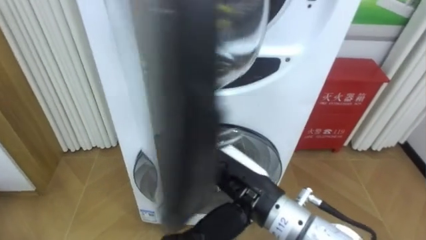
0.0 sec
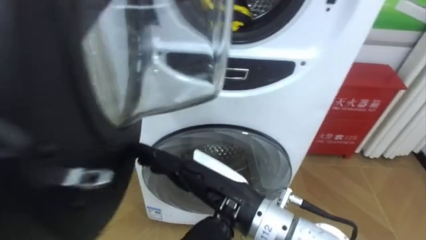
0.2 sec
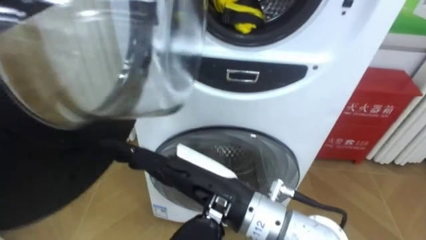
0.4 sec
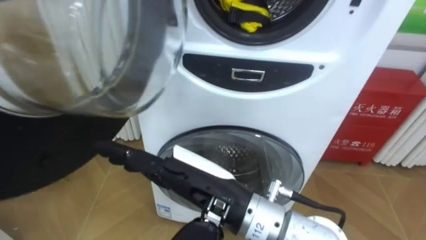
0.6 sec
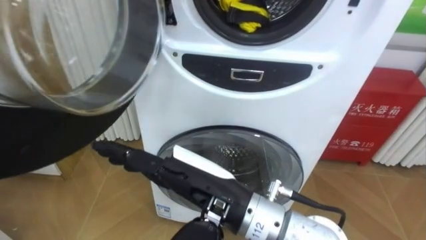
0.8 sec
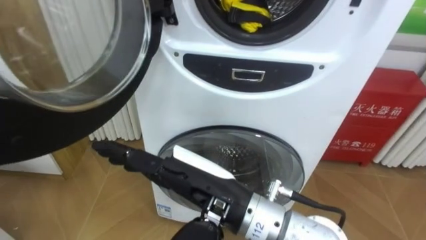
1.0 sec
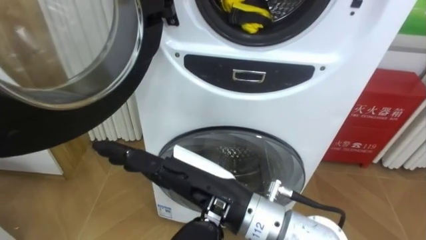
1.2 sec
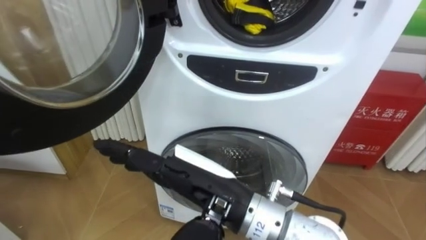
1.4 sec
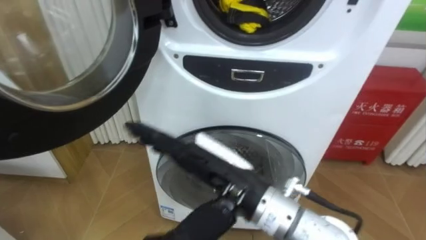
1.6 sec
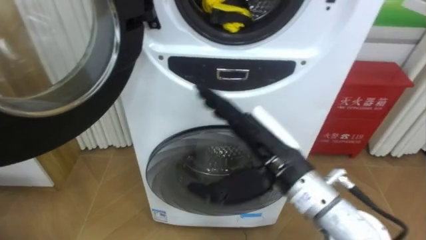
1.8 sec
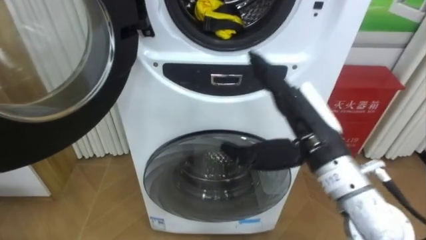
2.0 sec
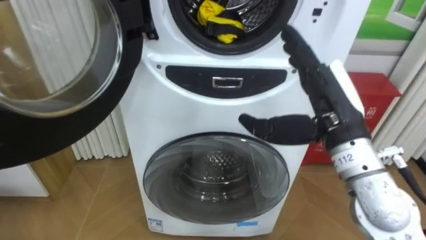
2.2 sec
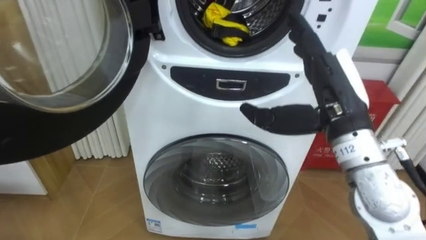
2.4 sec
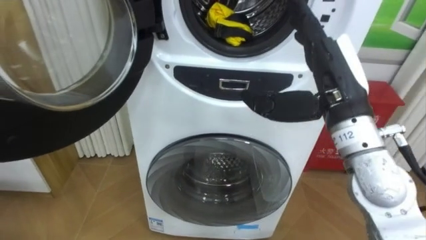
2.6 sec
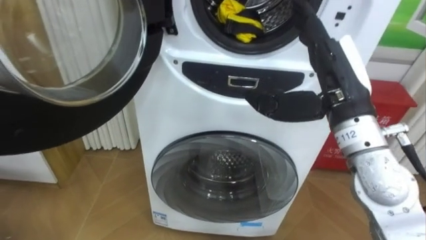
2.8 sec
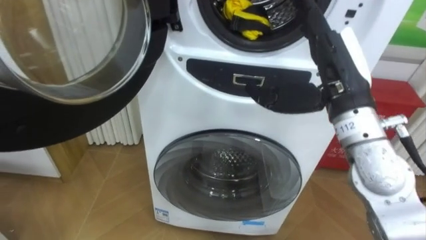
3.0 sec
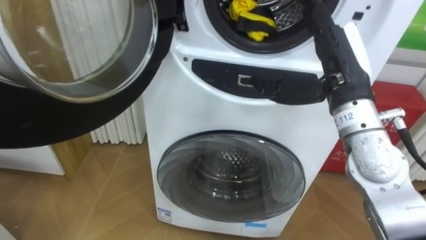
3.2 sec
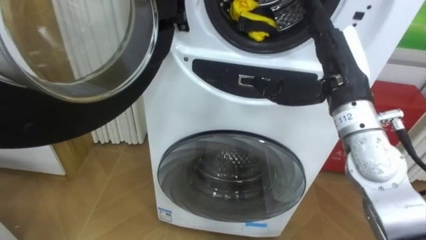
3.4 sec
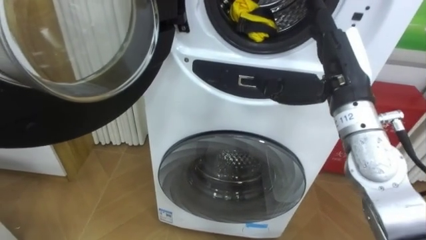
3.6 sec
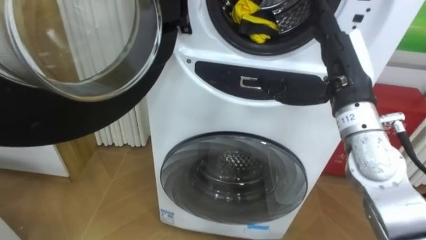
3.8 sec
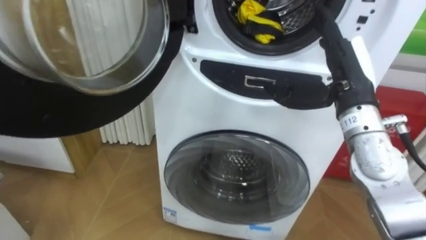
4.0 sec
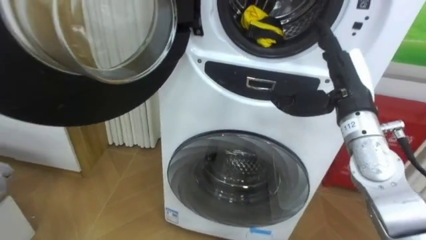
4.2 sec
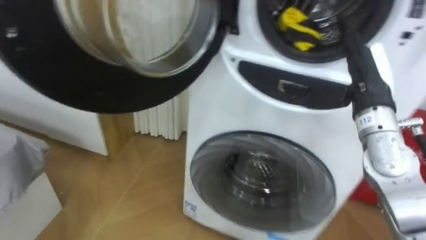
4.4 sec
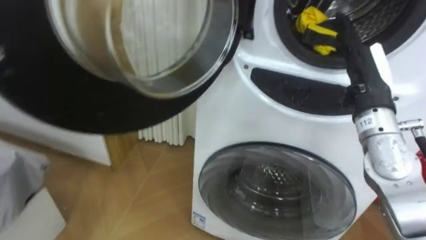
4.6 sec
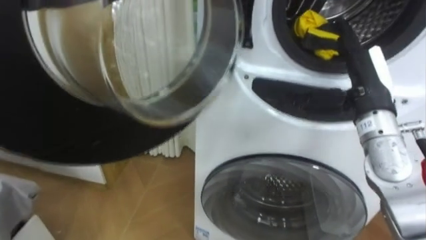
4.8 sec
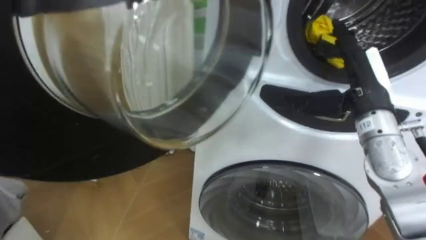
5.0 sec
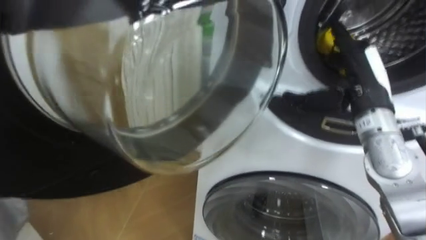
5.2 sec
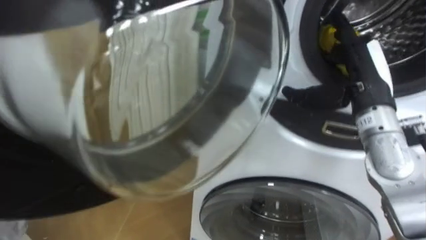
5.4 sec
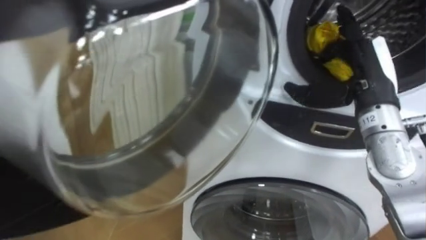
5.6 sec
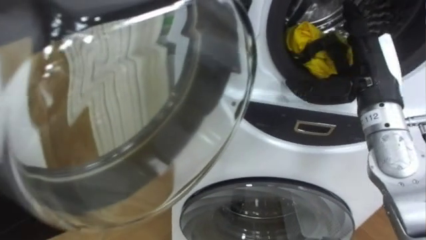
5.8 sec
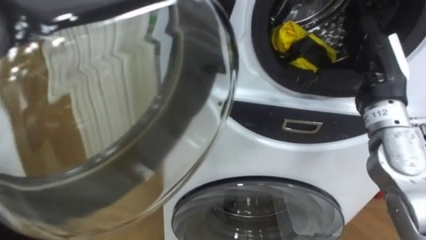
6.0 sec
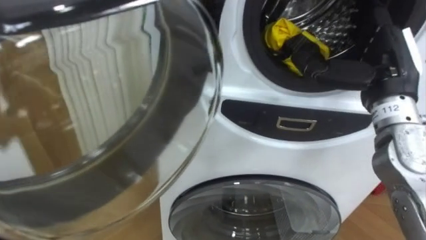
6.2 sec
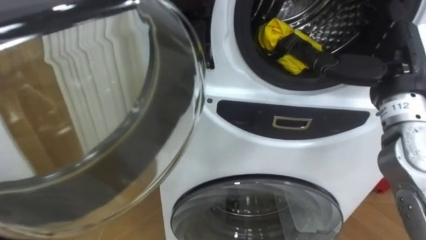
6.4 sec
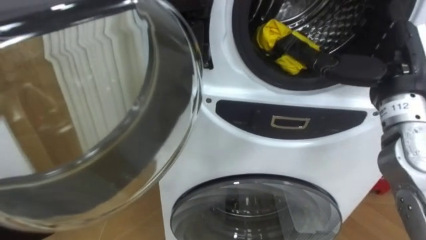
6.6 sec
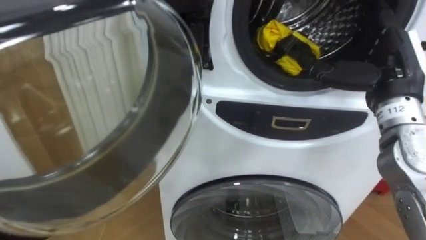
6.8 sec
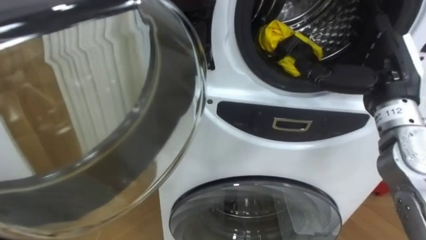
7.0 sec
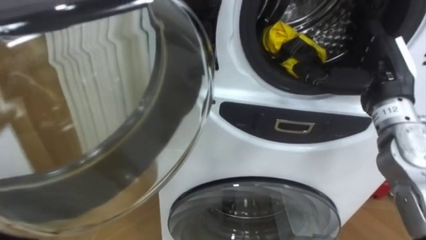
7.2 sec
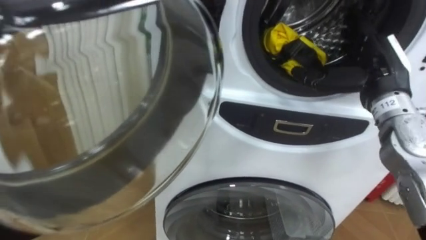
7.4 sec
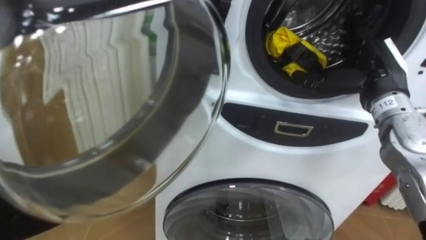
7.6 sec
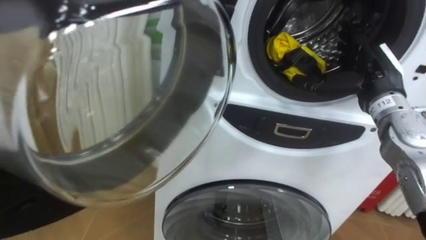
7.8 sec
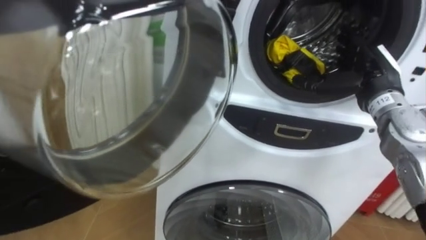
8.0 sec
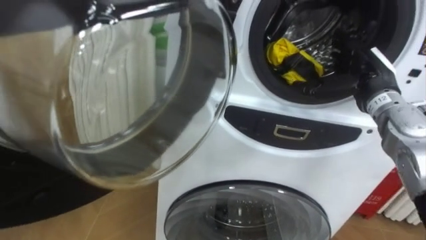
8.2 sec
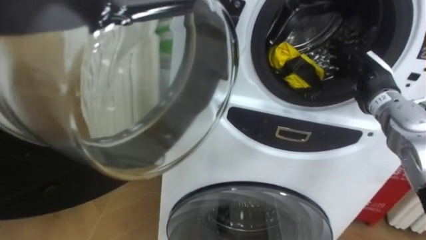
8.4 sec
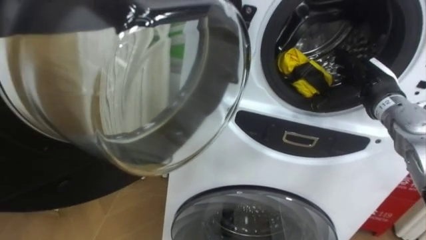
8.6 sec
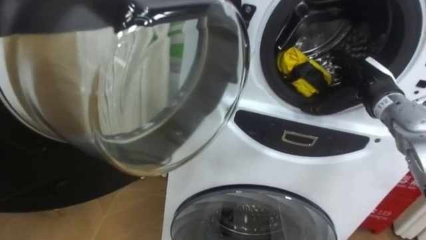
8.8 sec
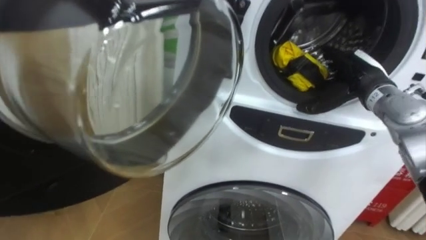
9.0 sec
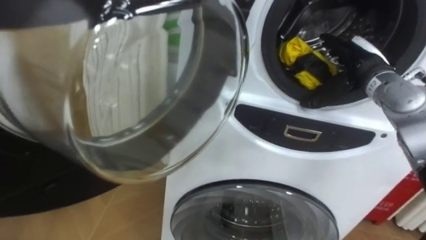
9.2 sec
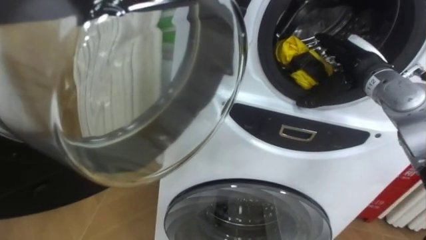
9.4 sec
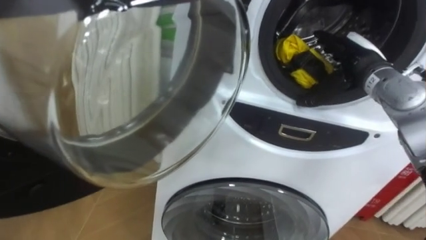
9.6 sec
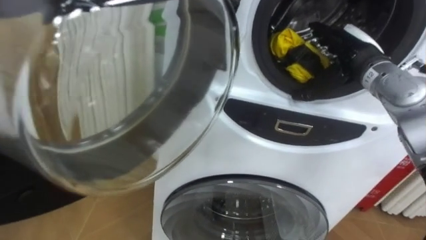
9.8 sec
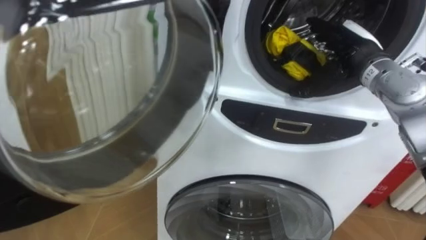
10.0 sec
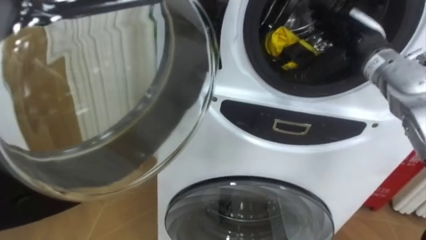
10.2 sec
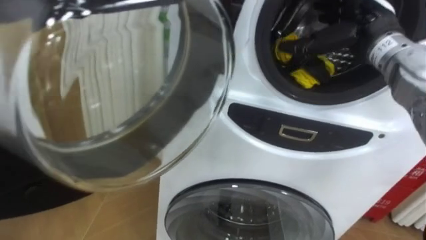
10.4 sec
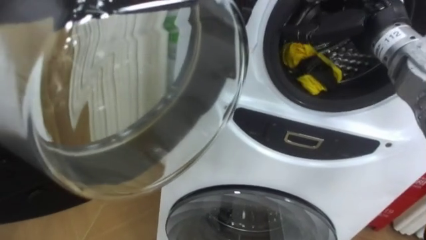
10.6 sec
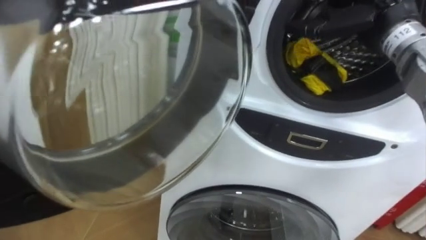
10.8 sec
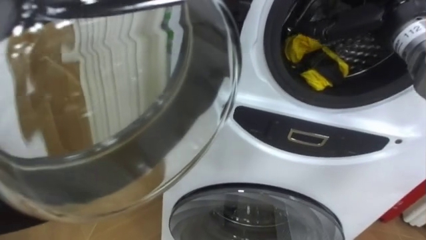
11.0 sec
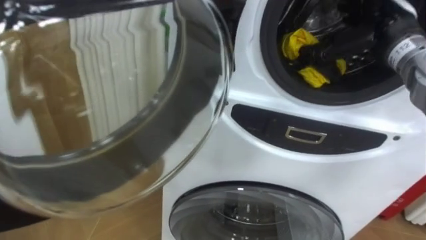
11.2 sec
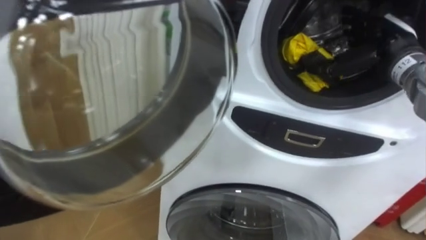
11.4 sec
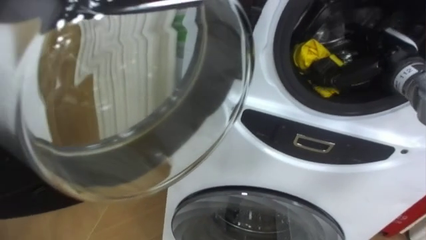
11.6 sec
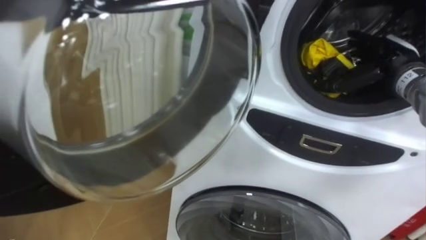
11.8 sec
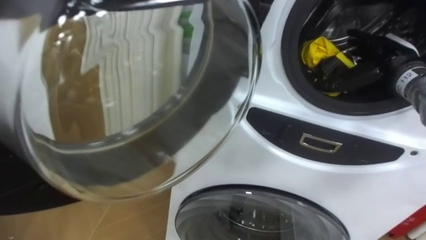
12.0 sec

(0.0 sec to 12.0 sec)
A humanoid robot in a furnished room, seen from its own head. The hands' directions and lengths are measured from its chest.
Task of the whole recording: Open the washing machine door, take out the yellow clothes, place them in the box on the right, and close the washing machine door.
0.0 sec - 1.6 sec: The right hand moves approximately 5 cm.
1.6 sec - 3.0 sec: The right hand travels to the right, forward and upward by roughly 20 cm.
3.0 sec - 4.4 sec: The right hand is displaced to the right by roughly 5 cm.
7.6 sec - 9.0 sec: The right hand changes place by approximately 5 cm.
9.0 sec - 10.4 sec: The right hand goes roughly 10 cm upward.
10.4 sec - 12.0 sec: The right hand is displaced to the right and downward by some 10 cm.

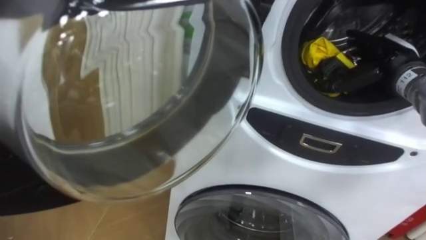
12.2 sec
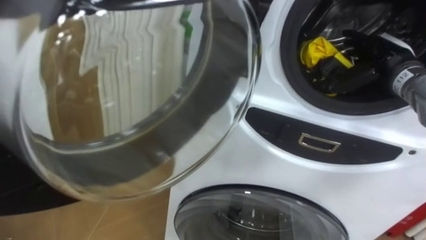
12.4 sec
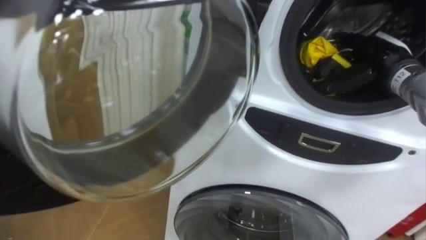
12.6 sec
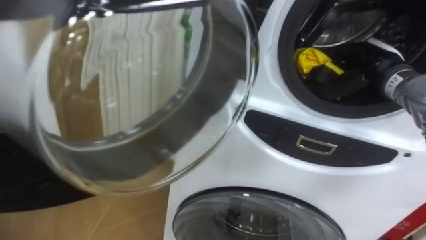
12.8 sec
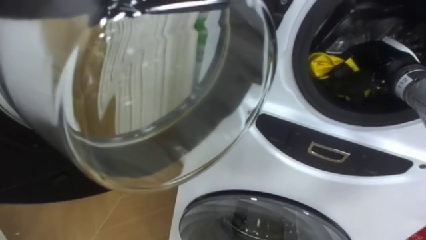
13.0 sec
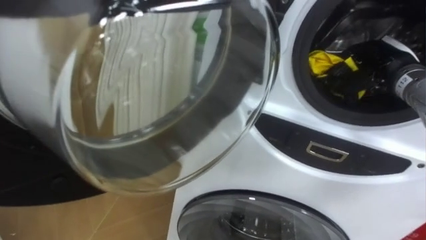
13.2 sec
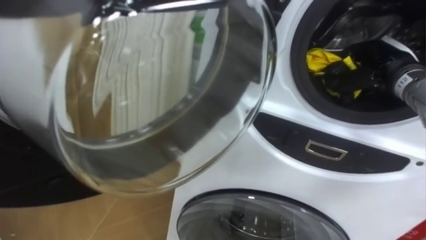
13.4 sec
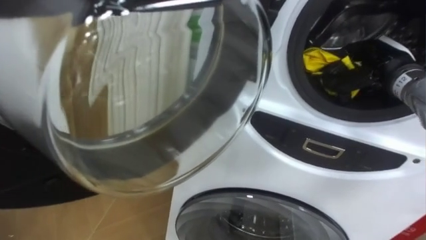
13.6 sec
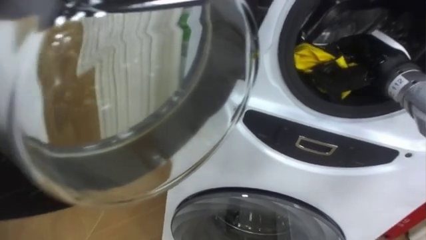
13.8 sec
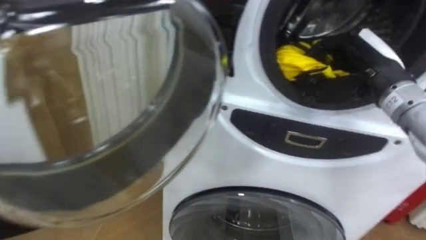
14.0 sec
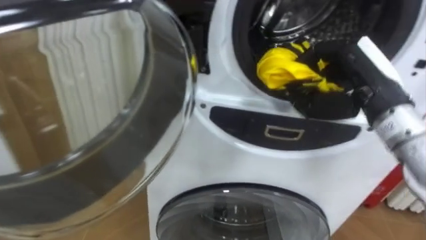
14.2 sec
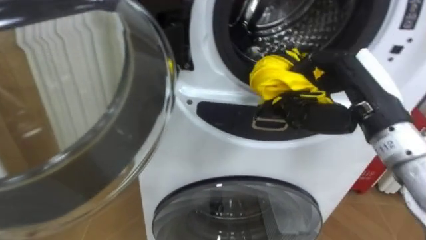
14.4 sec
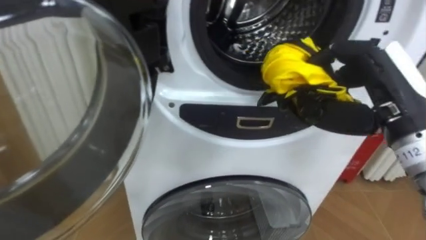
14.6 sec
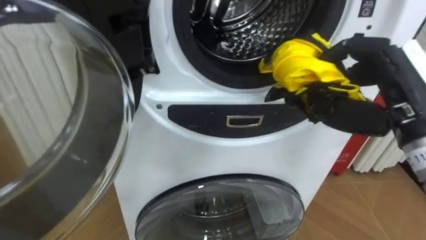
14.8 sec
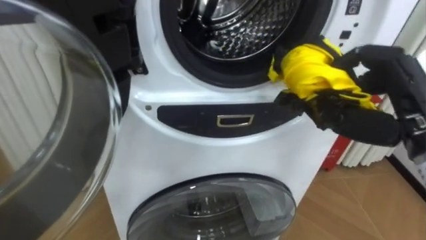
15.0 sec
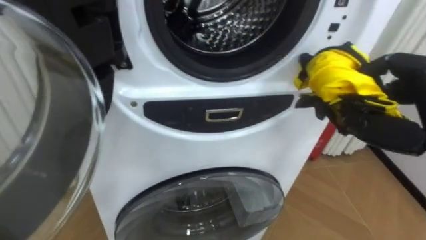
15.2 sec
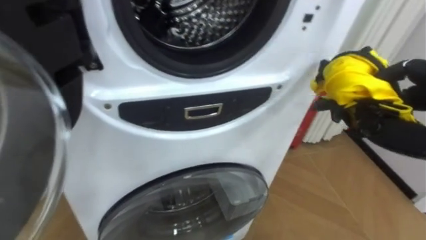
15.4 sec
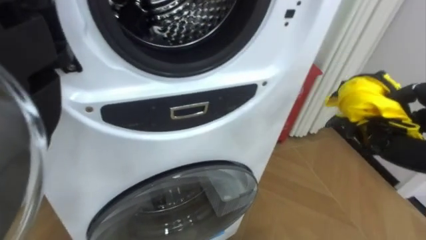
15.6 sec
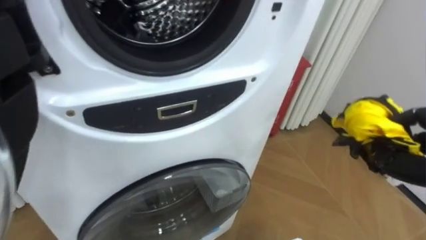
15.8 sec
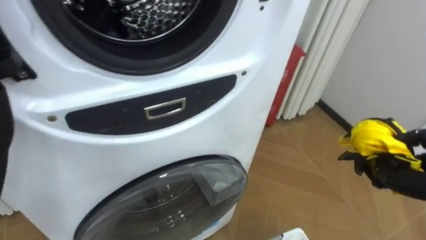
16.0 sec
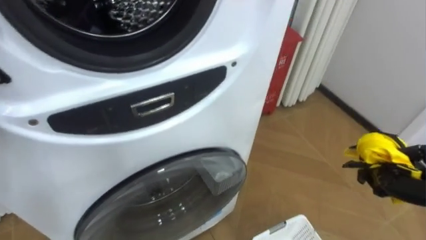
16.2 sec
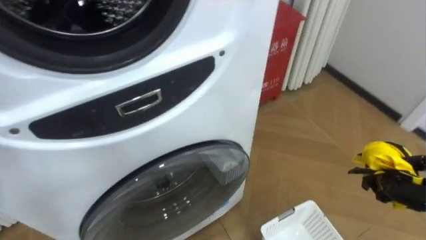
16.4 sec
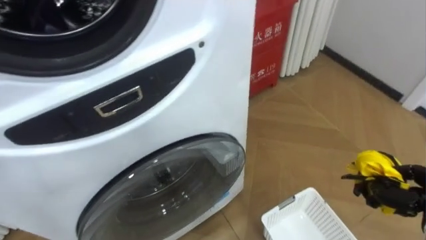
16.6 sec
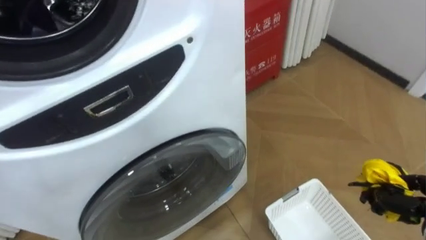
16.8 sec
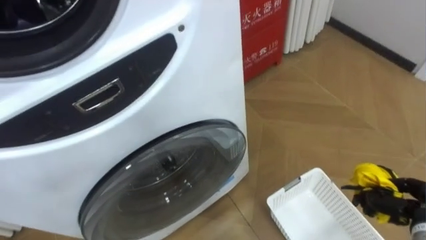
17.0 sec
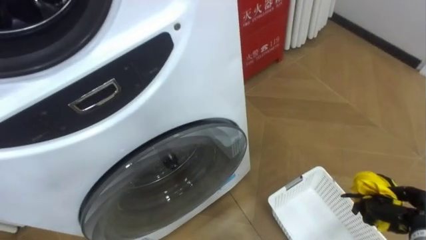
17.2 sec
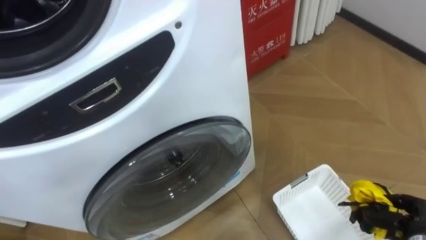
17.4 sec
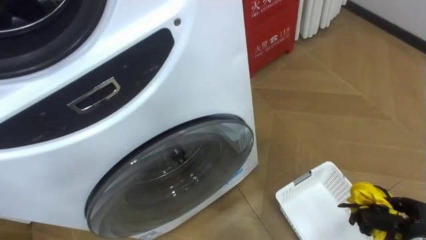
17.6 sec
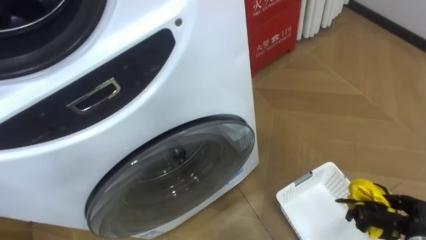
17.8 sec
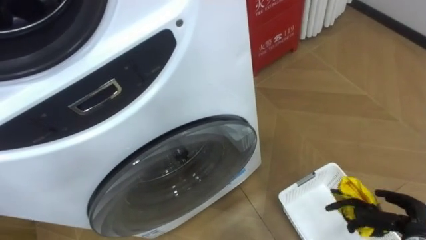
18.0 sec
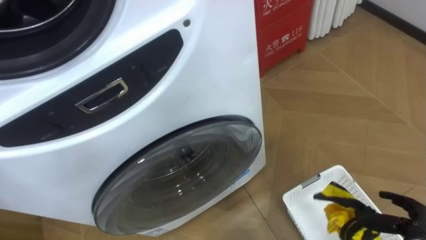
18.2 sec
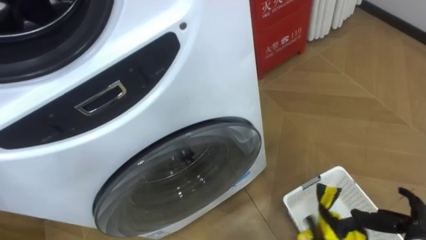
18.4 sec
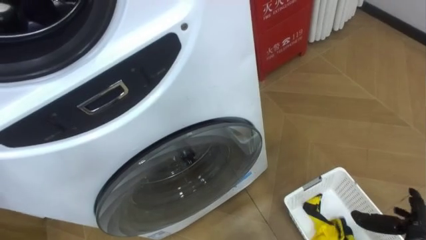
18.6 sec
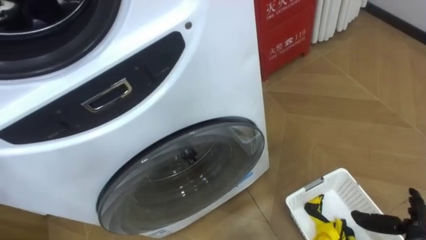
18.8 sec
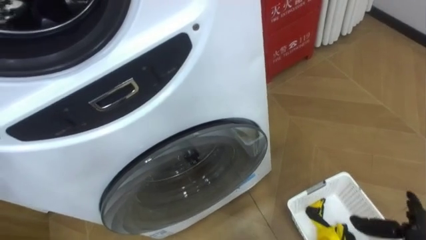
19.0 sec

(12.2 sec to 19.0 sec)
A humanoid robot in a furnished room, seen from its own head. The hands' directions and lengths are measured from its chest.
Task of the whole recording: Open the washing machine door, take out the yellow clothes, place them in the box on the right, and close the washing machine door.
12.2 sec - 13.6 sec: The right hand closes its fingers.
13.6 sec - 15.0 sec: The right hand is displaced backward by approximately 15 cm.
17.6 sec - 19.0 sec: The right hand opens.
